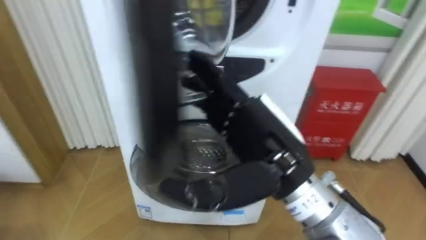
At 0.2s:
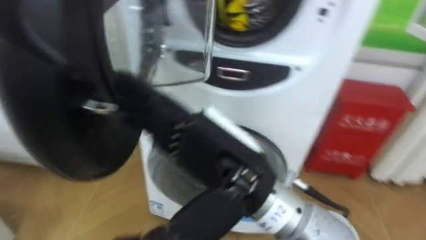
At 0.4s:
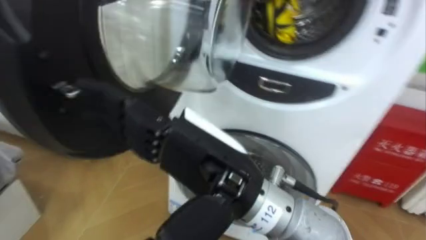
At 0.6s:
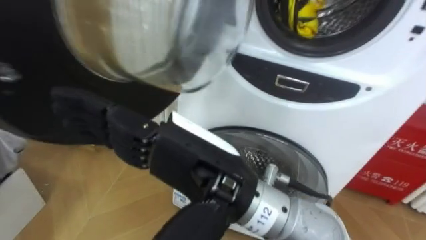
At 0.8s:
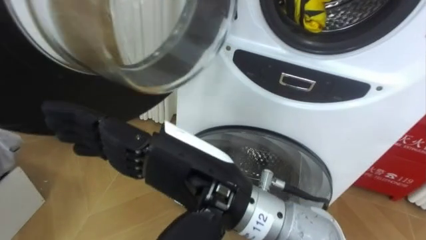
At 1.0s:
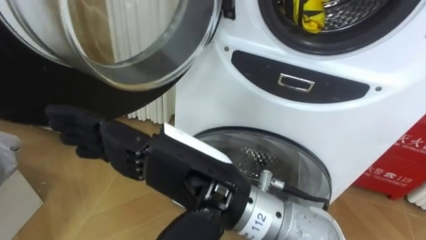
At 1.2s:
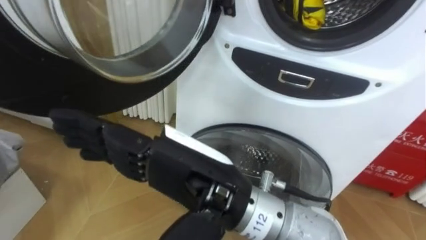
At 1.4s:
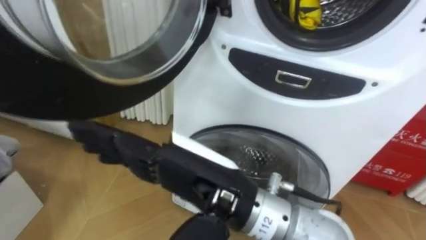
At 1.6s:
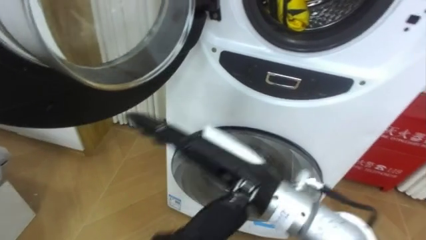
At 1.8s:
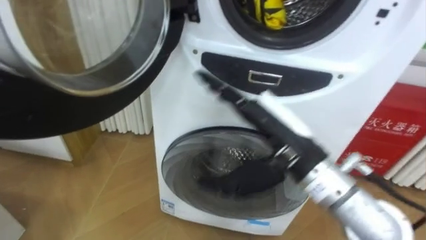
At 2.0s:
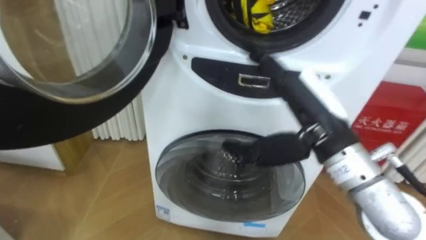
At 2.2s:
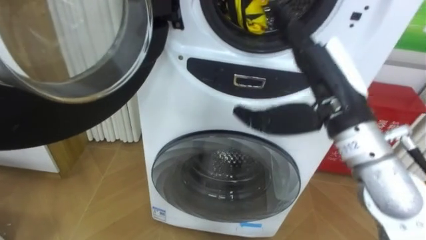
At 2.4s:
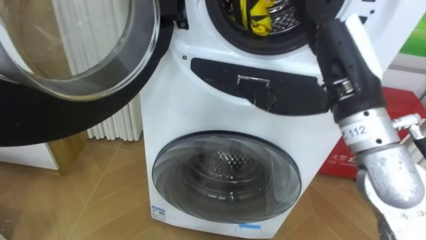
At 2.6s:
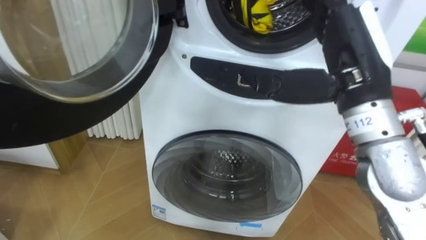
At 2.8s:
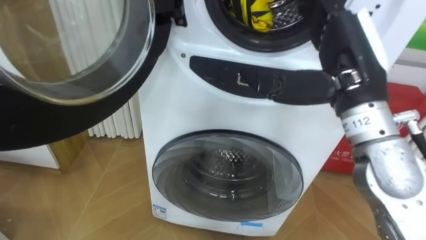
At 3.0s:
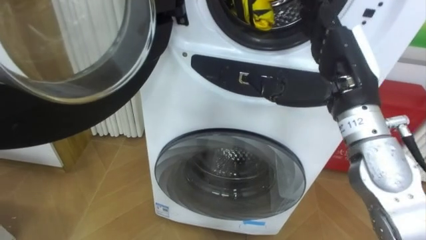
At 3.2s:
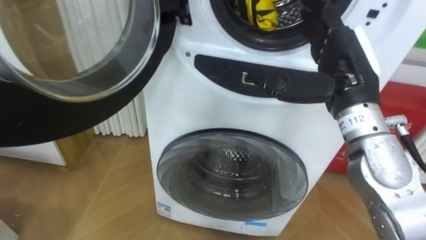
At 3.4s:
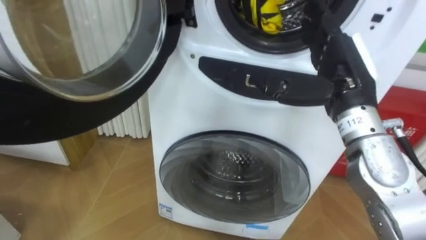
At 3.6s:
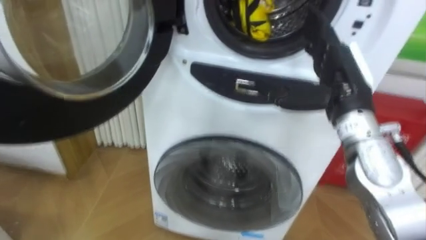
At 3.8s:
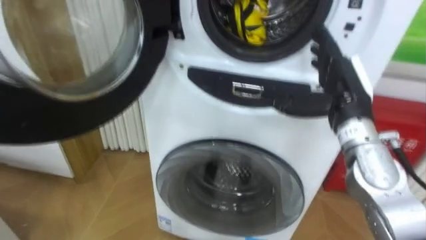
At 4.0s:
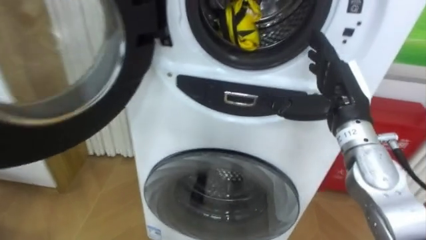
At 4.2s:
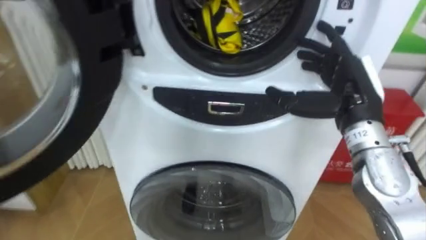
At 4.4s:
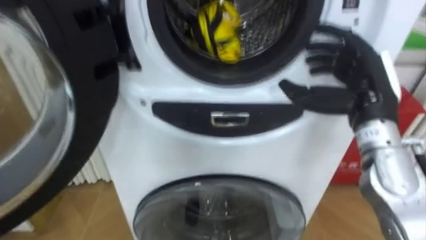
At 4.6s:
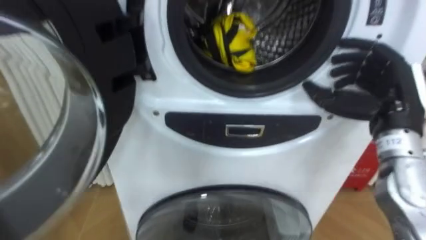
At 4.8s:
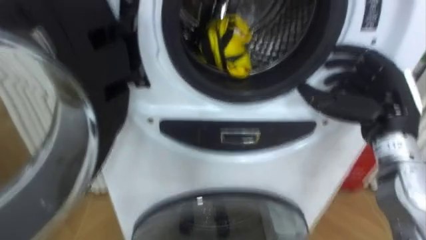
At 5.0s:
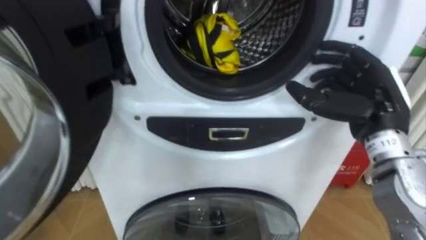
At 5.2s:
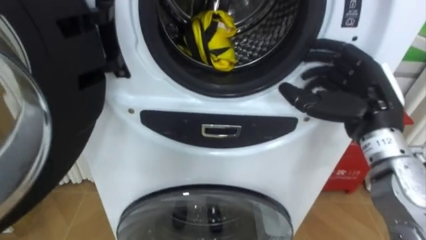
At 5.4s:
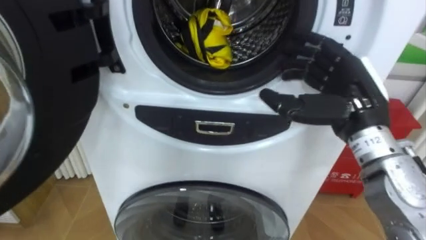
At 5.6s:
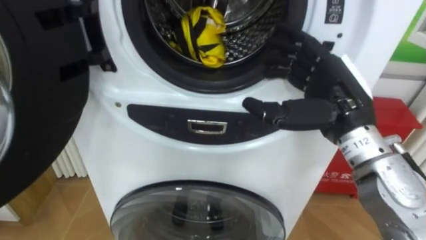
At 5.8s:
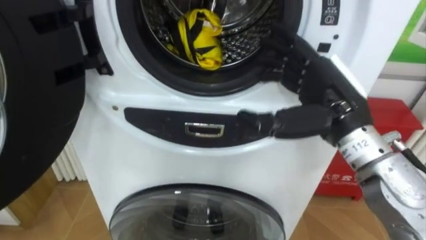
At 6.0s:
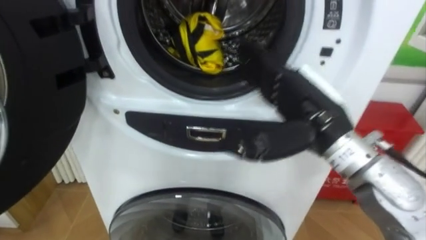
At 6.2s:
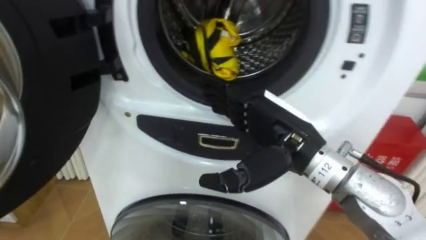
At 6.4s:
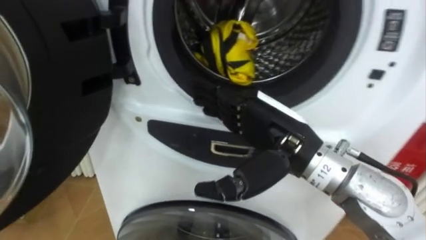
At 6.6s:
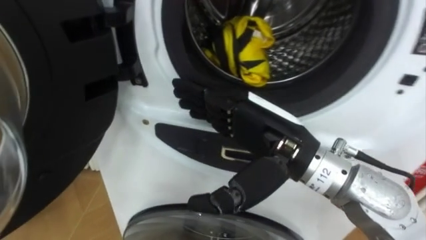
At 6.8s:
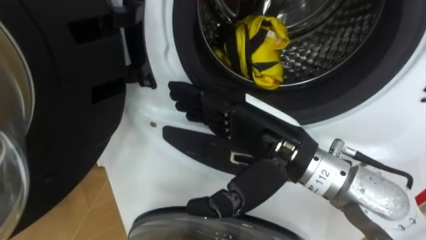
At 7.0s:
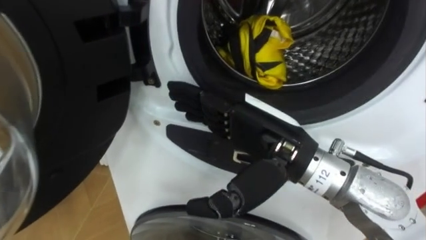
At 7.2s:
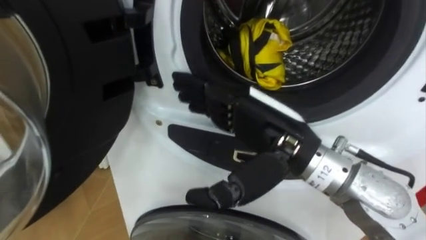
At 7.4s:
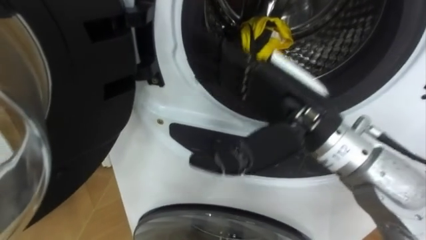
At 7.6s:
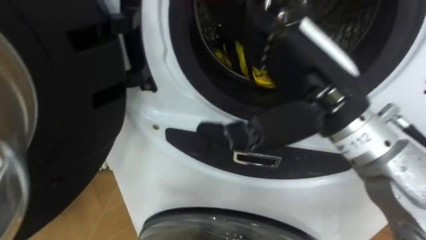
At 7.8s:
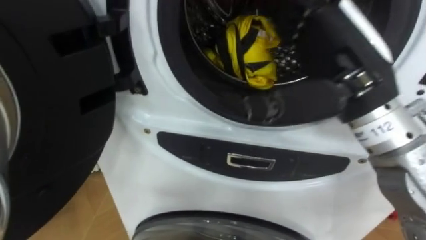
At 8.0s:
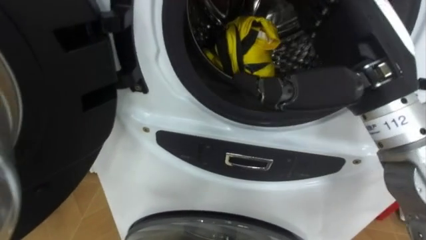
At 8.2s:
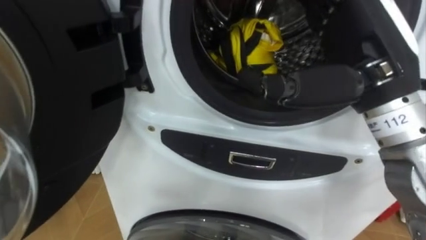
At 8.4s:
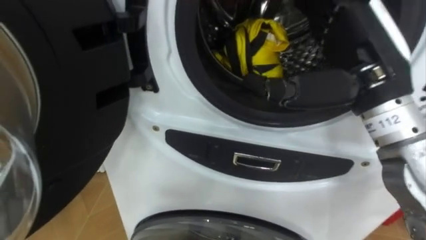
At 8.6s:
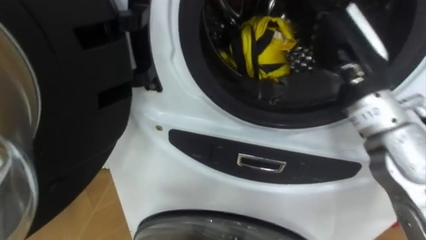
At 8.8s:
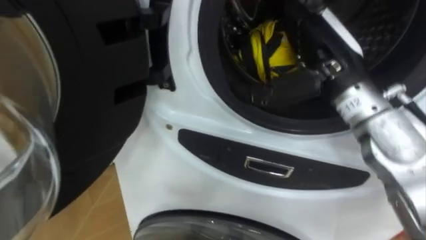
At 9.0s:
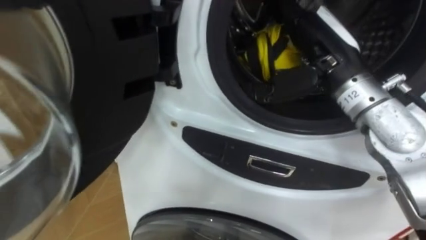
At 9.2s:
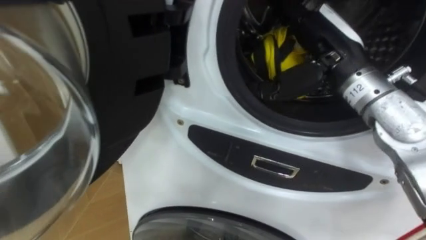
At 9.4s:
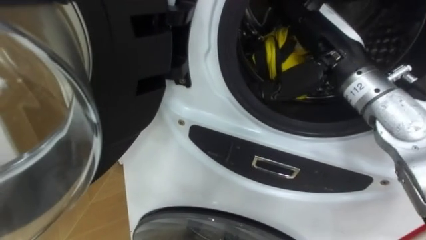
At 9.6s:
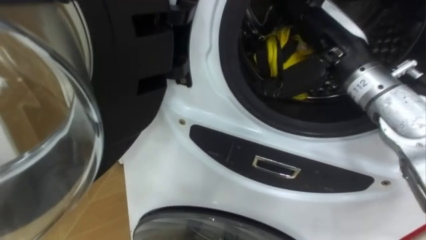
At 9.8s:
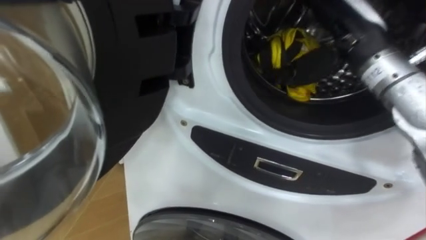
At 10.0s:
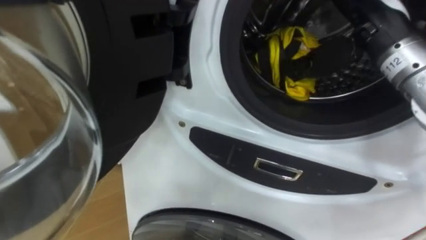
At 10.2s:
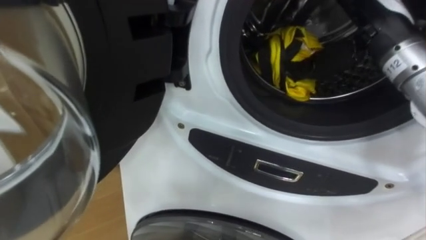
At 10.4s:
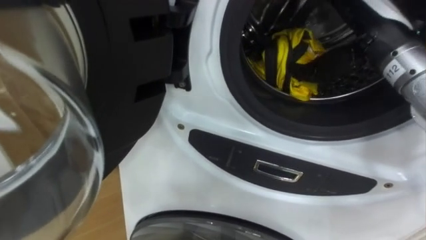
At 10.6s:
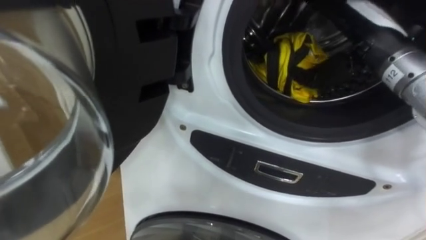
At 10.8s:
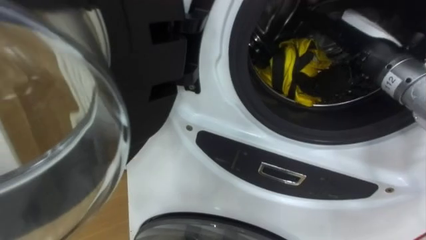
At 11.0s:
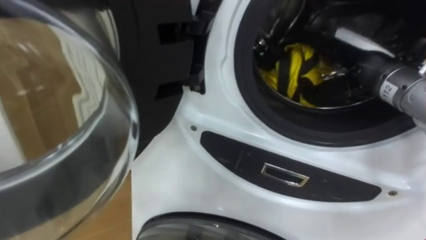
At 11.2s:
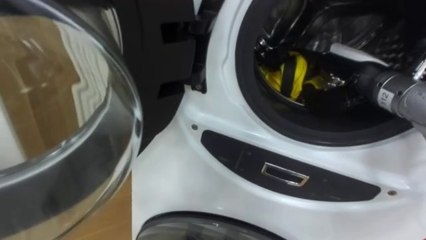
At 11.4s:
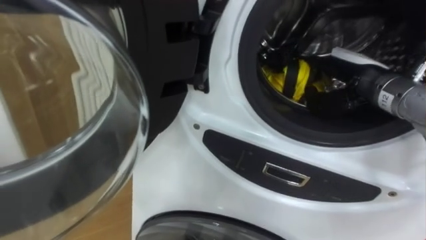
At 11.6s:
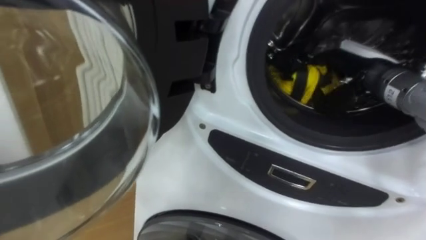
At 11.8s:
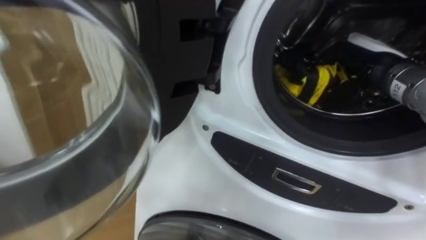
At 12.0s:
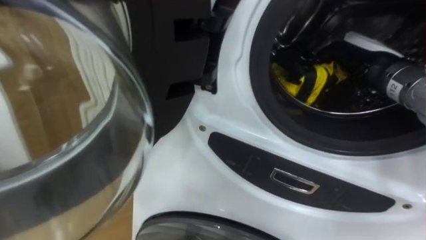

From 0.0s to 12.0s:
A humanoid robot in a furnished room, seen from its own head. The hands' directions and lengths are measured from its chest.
Task of the whole recording: Open the washing machine door, take out the yellow clothes, place them in the box on the right, and close the washing machine door.
From 1.6s to 3.0s: The right hand goes some 20 cm to the right and forward.
From 3.0s to 4.4s: The right hand ends up roughly 5 cm from where it was.
From 4.4s to 6.0s: The right hand is displaced to the left by some 10 cm.
From 6.0s to 7.6s: The right hand is displaced upward by about 5 cm.
From 7.6s to 9.0s: The right hand travels forward by about 10 cm.
From 9.0s to 10.4s: The right hand moves to the right, about 5 cm.
From 10.4s to 12.0s: The right hand goes some 5 cm downward, and closes.

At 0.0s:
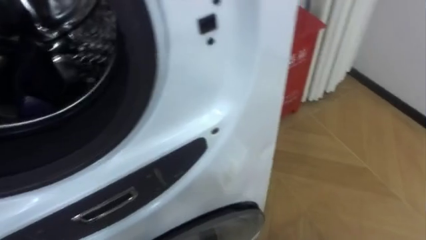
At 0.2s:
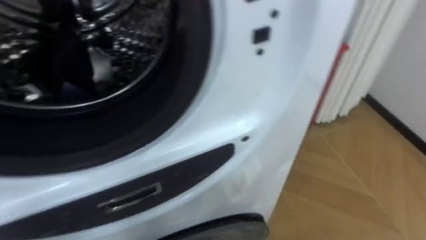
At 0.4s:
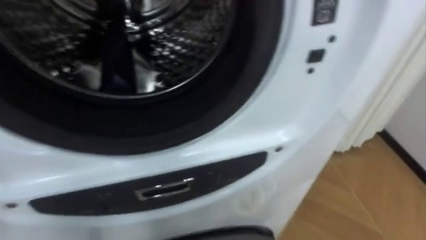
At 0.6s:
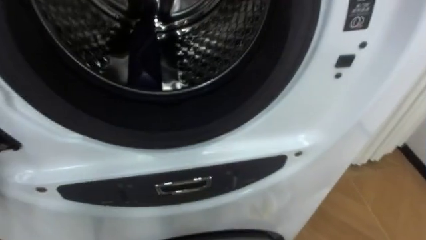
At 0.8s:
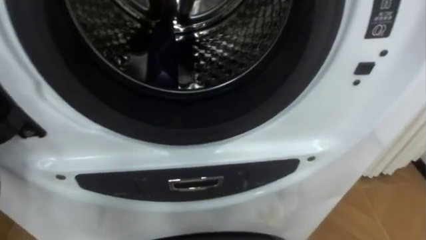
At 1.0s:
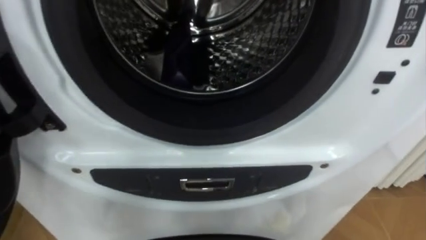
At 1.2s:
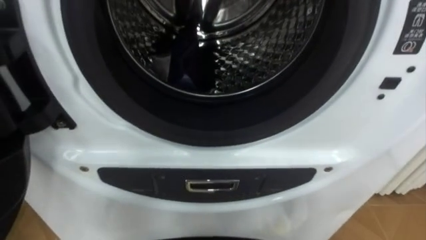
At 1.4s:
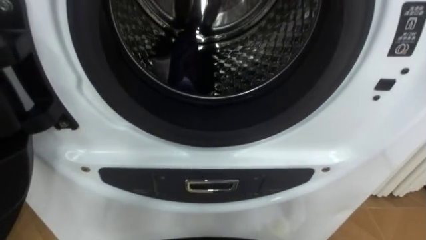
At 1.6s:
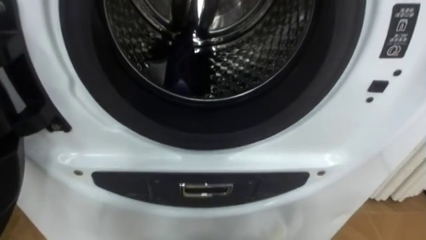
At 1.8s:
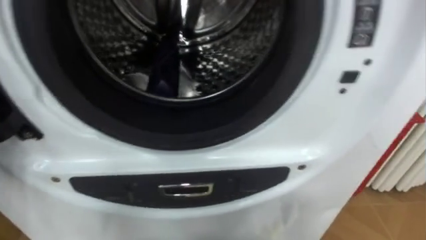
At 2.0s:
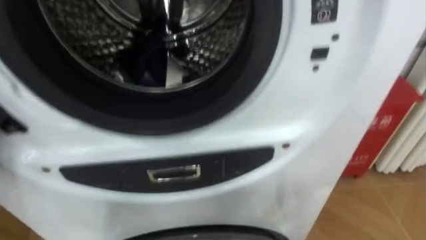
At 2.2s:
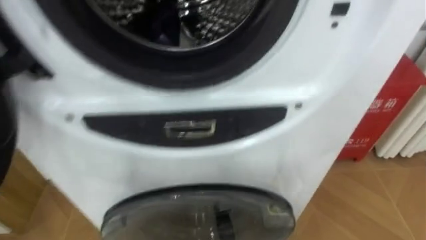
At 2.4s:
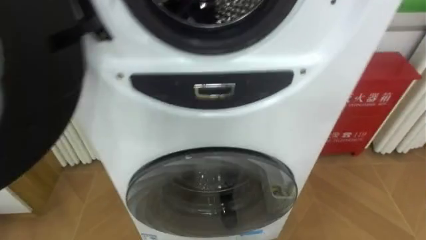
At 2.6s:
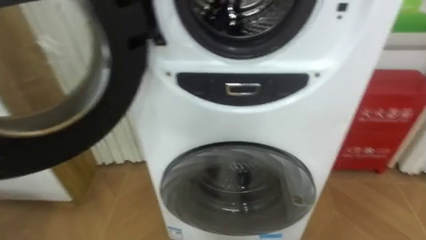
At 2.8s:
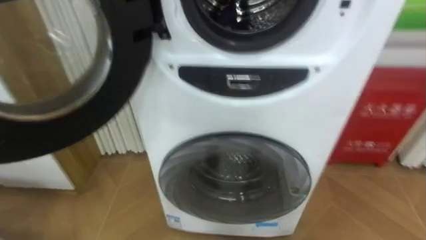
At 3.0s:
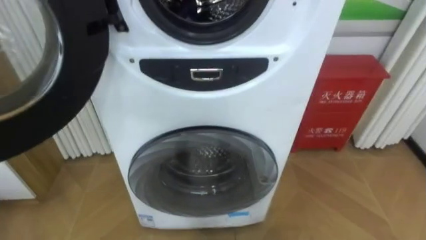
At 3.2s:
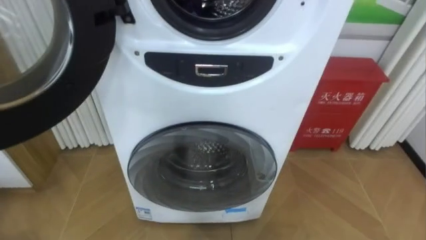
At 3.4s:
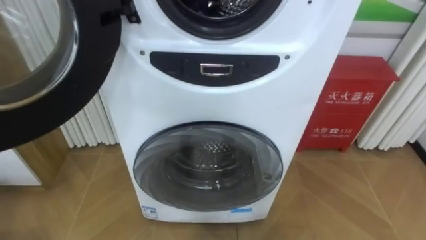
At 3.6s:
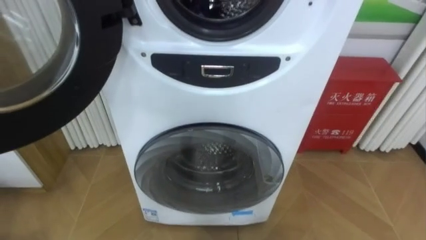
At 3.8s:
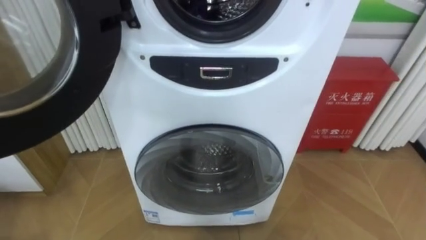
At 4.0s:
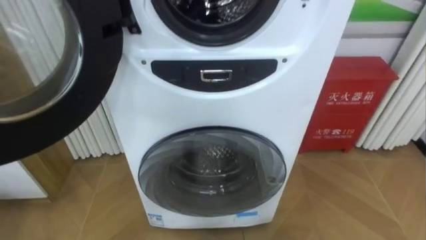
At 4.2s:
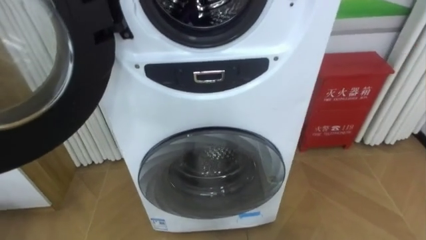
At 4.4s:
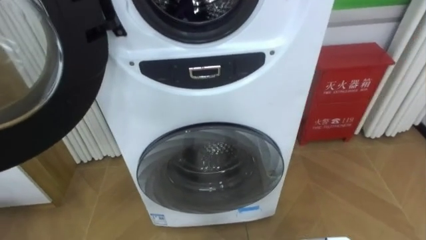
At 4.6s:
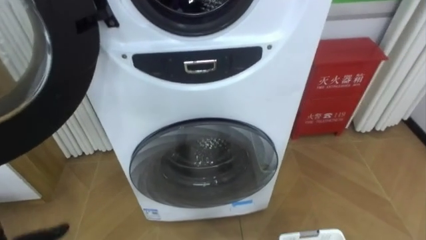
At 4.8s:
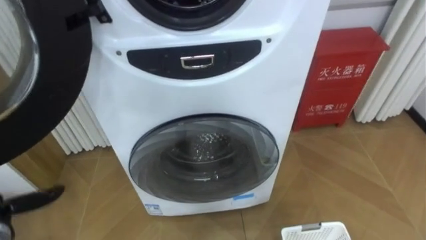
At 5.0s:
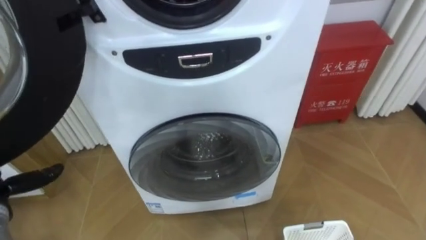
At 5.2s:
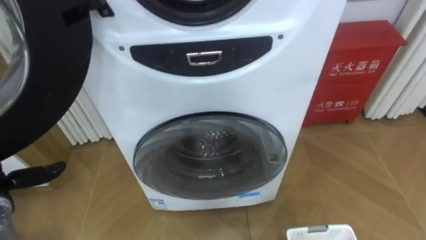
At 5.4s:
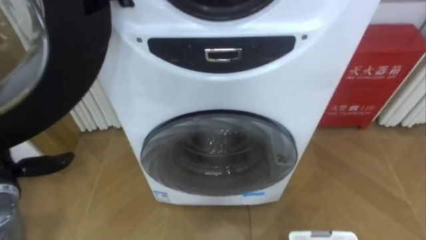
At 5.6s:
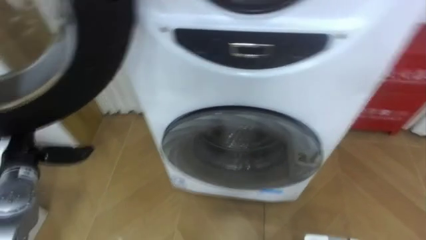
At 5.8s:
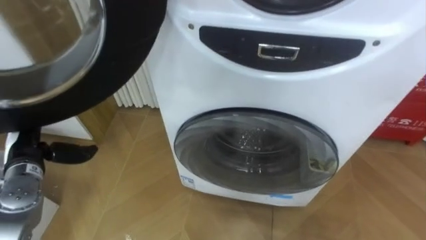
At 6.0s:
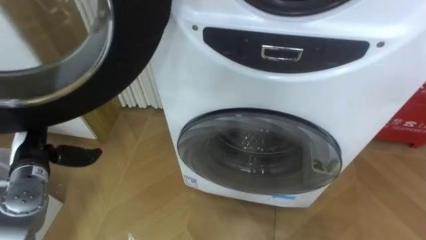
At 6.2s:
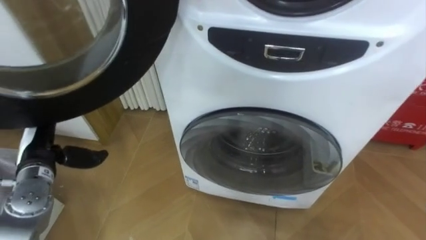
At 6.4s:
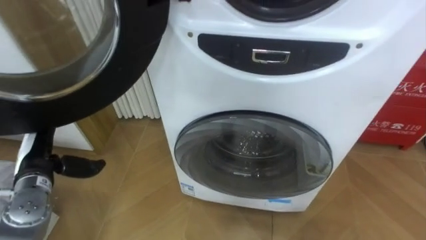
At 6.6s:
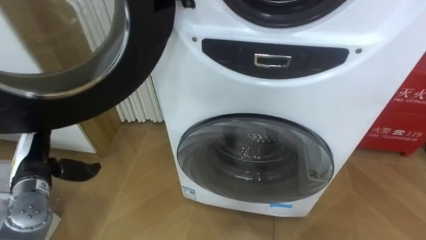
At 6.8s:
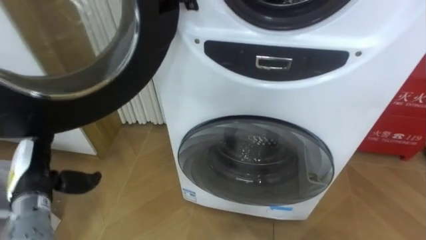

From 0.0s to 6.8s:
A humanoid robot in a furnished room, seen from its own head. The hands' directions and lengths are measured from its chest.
Task of the whole recording: Open the washing machine door, take out the yellow clothes, place them in the box on the right, and close the washing machine door.
From 5.4s to 6.8s: The left hand goes some 5 cm to the right.
